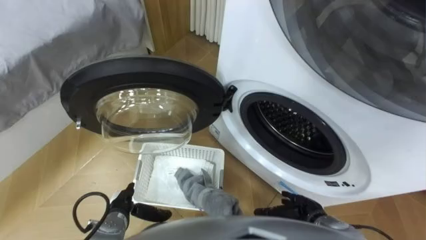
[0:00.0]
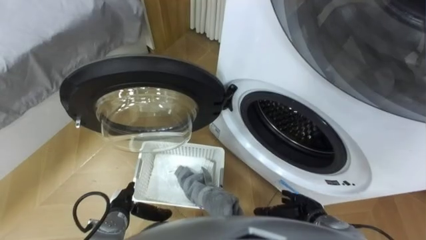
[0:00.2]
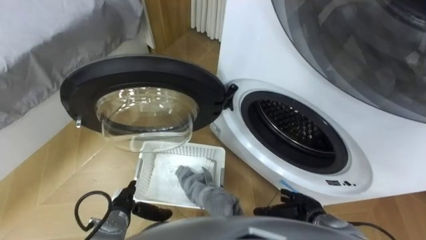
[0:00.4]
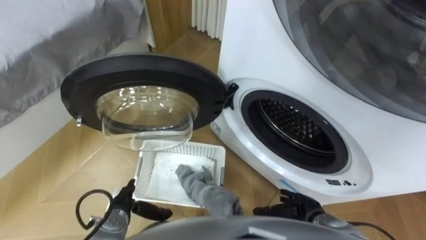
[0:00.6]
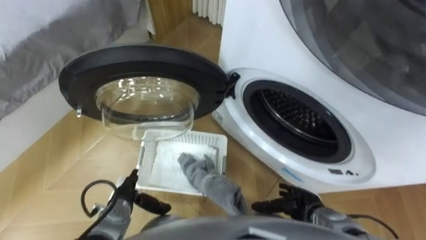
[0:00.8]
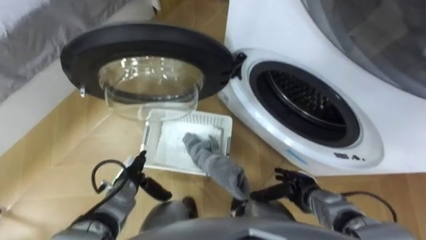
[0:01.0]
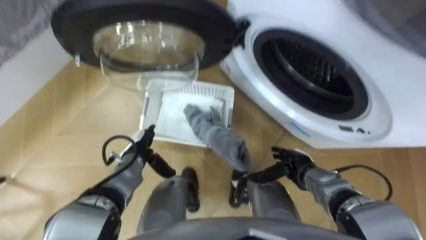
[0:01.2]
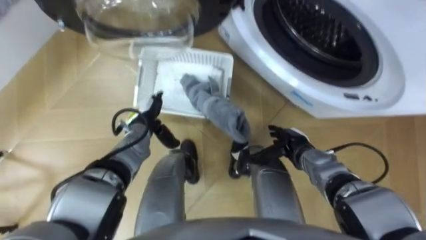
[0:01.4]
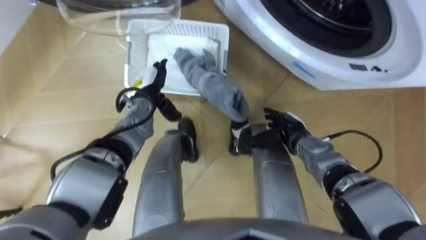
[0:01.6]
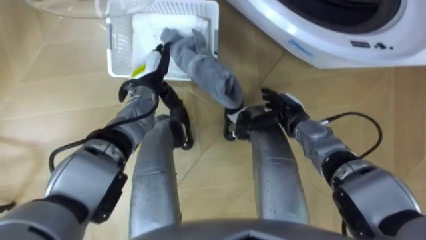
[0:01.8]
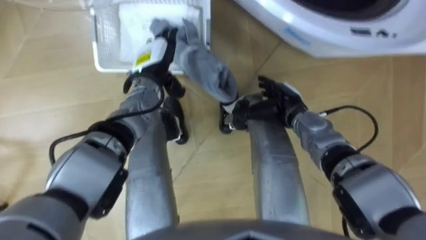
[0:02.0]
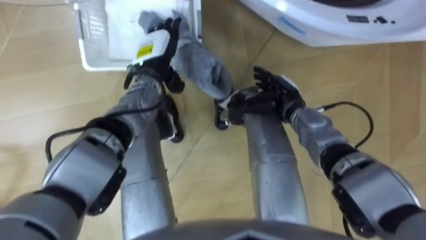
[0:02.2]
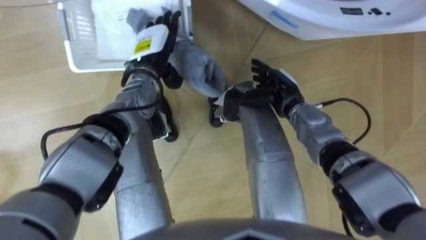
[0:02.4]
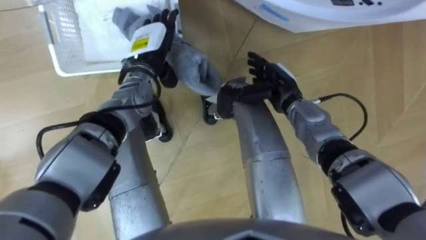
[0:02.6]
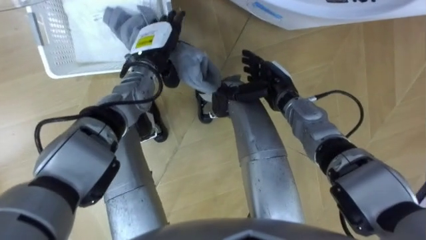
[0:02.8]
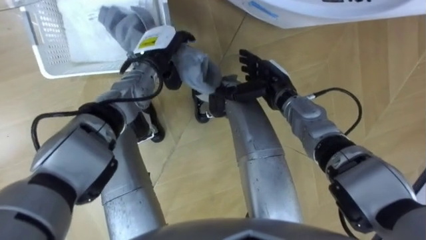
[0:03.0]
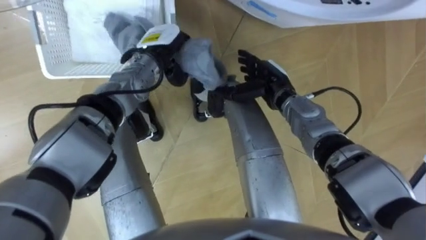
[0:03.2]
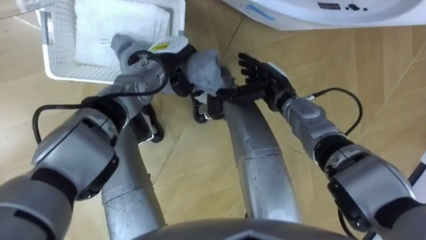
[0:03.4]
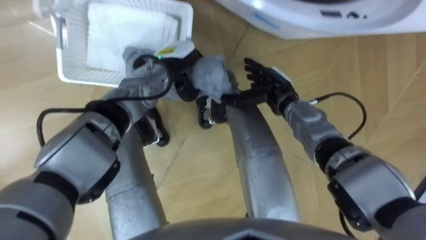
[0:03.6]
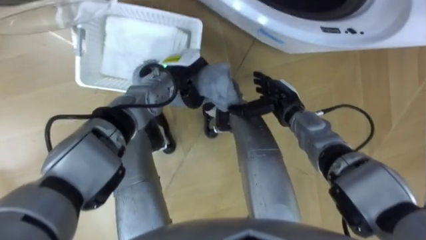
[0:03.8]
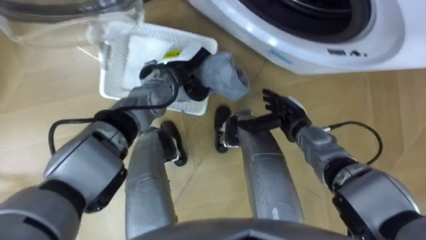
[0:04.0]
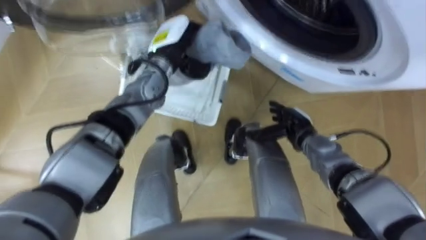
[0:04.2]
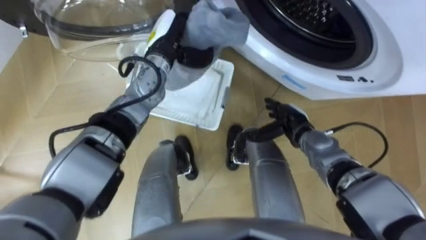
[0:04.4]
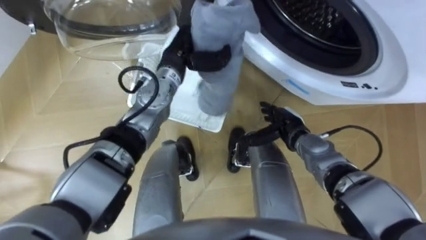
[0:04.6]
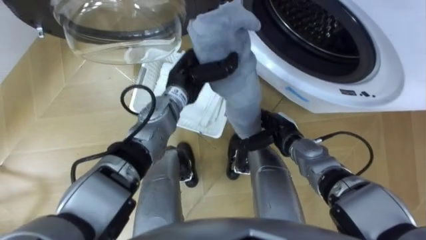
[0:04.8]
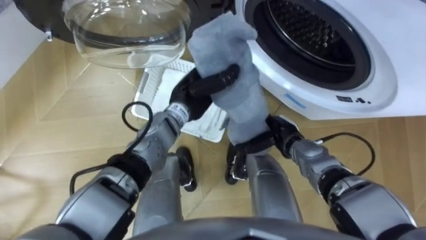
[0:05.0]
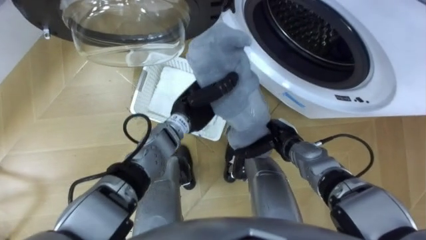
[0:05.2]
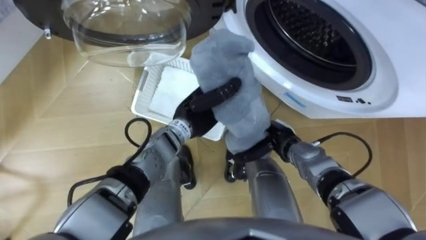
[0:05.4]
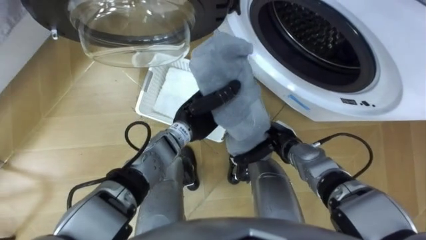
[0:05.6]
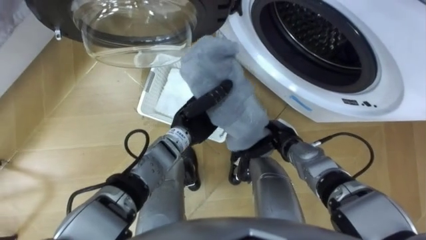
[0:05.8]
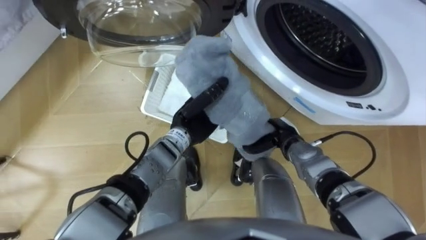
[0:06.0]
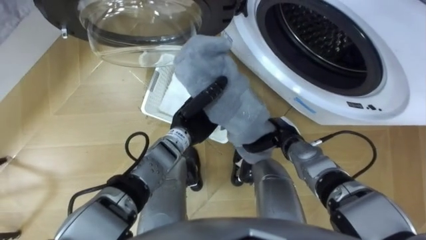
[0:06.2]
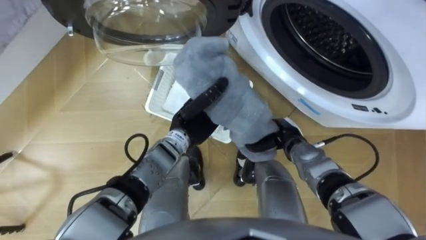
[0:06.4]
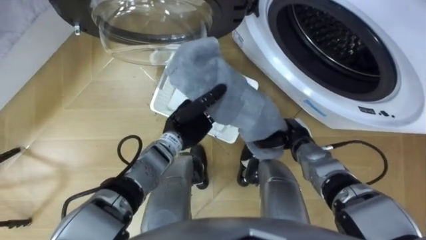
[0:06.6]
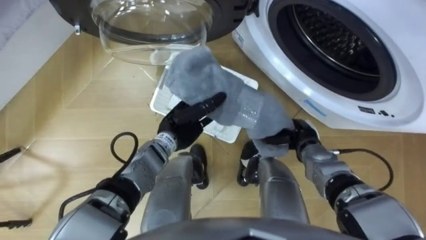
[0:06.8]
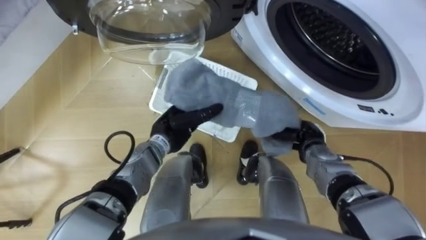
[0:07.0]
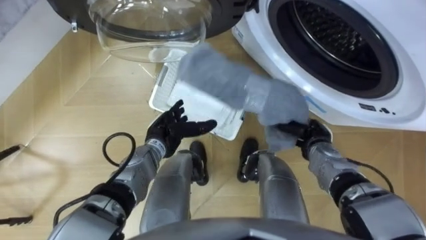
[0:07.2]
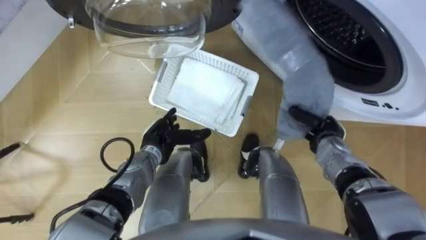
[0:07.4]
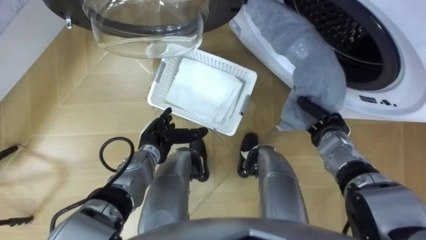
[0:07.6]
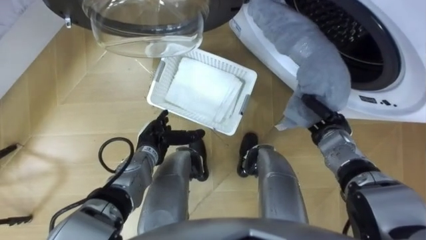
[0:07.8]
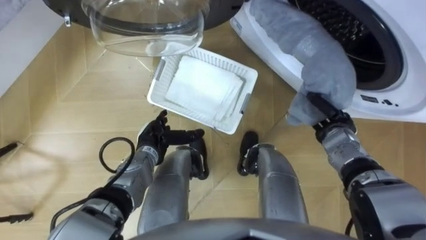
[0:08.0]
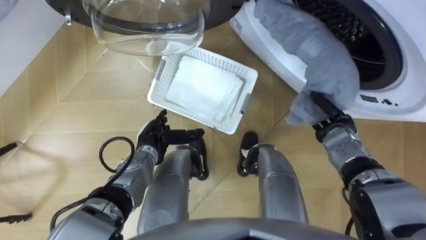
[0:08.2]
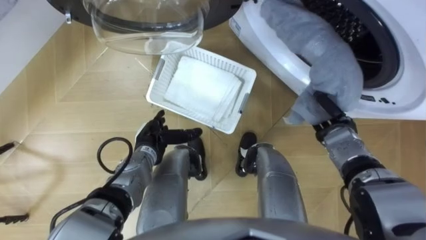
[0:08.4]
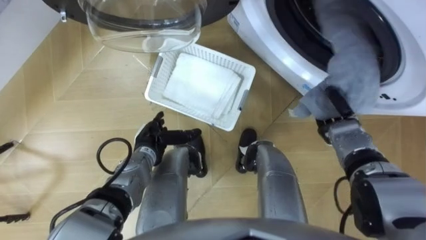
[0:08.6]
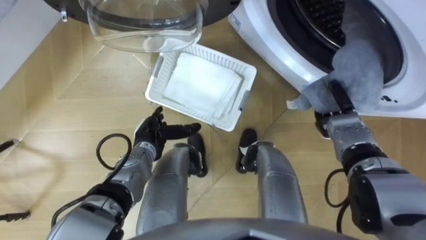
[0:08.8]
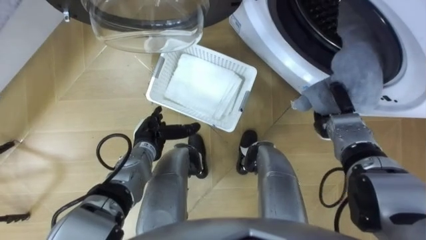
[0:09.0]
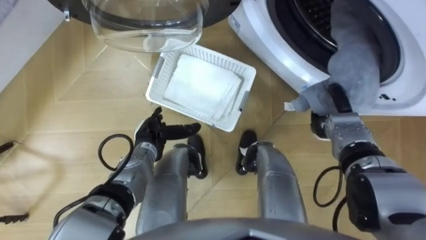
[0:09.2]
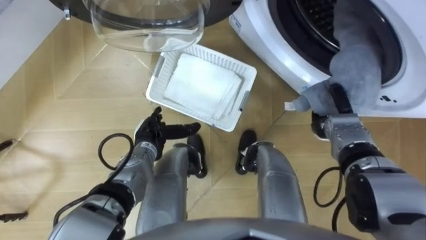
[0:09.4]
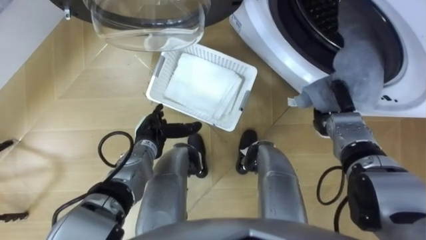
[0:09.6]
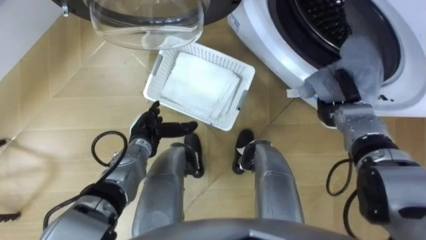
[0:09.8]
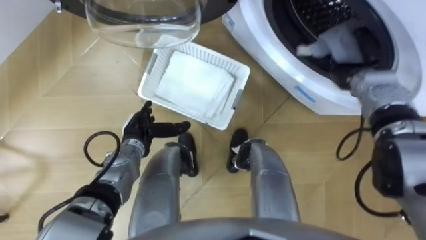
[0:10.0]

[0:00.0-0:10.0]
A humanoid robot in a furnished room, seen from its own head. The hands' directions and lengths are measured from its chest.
Task of the whole recording: Take the towel from the basket and put it into the washing machine.
0:01.4 to 0:02.8: The left hand shifts about 15 cm upward and forward. Meanwhile the right hand goes approximately 15 cm forward, upward and to the left.
0:02.8 to 0:04.2: The left hand closes up, while the right hand travels downward, backward and to the right by about 10 cm.
0:04.2 to 0:05.8: The left hand heads backward and downward, covering roughly 15 cm.
0:05.8 to 0:07.2: The right hand moves to the right, some 5 cm, and closes its fingers, while the left hand is displaced to the left and downward by roughly 10 cm, and opens.
0:07.2 to 0:08.6: The right hand goes approximately 5 cm to the right.
0:08.6 to 0:10.0: The right hand moves forward and upward, roughly 10 cm.

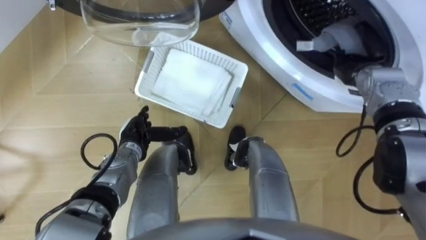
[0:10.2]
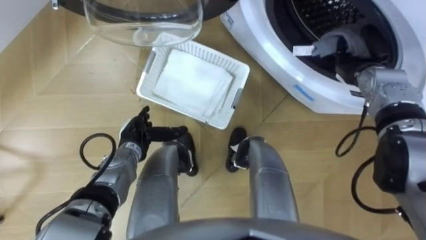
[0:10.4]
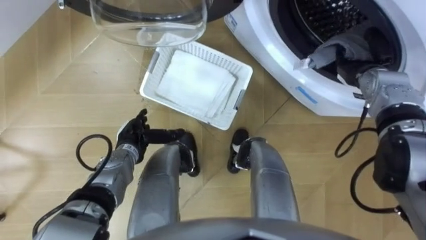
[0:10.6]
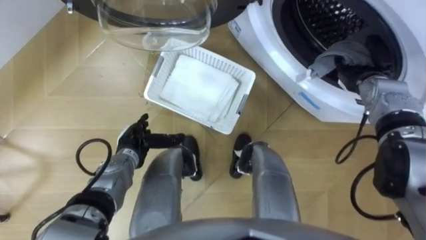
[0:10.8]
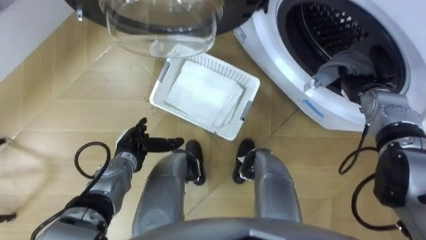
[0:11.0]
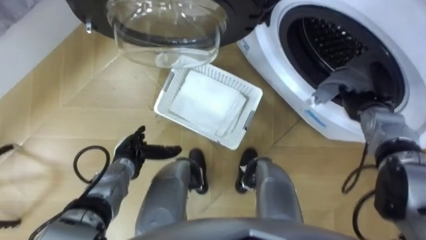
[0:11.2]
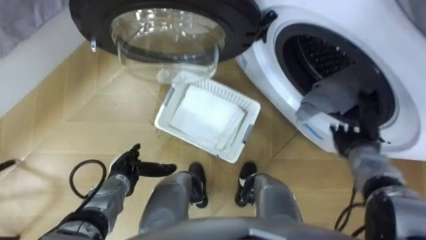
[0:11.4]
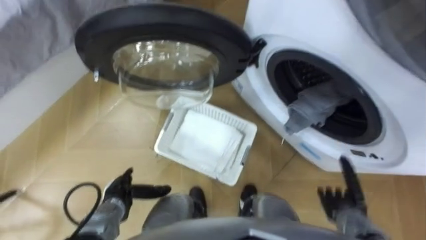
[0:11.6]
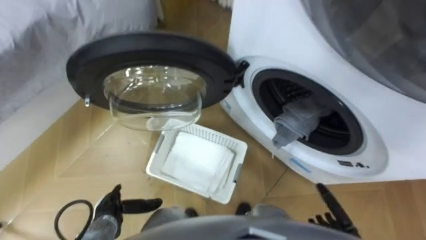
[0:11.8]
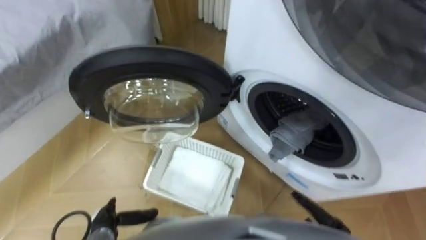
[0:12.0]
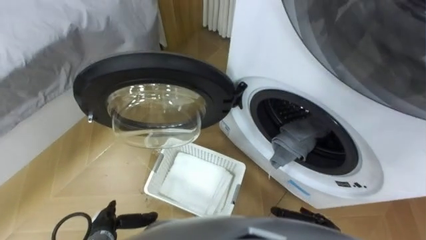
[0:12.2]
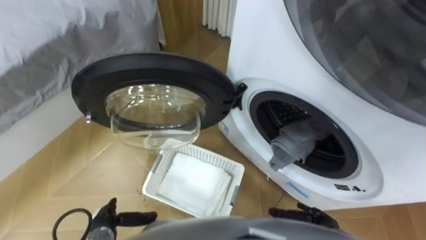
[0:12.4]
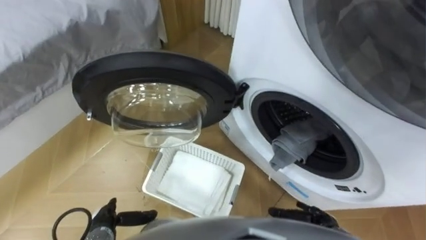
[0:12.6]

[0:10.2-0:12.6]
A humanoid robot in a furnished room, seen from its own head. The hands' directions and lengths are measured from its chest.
Task of the whole recording: Take the towel from the basket and put it into the washing machine.
0:10.2 to 0:11.4: The left hand moves backward, approximately 5 cm, while the right hand heads backward and downward, covering about 15 cm, and opens.
0:11.4 to 0:12.6: The left hand is displaced backward by approximately 10 cm. The right hand moves backward, to the left and downward, some 20 cm.

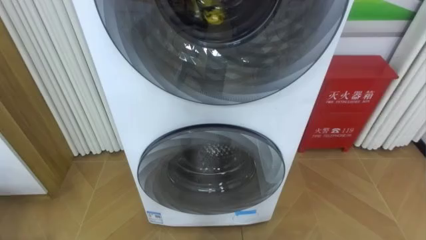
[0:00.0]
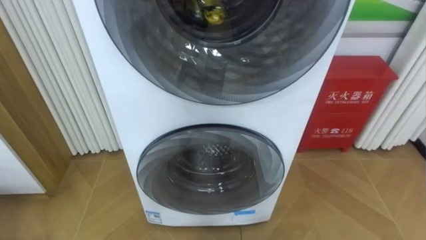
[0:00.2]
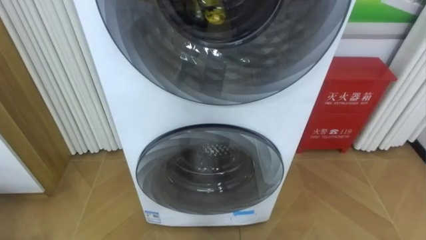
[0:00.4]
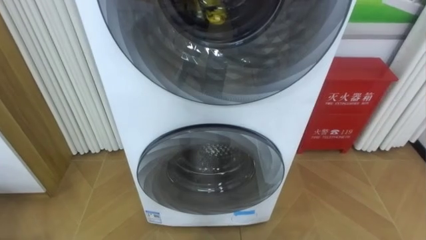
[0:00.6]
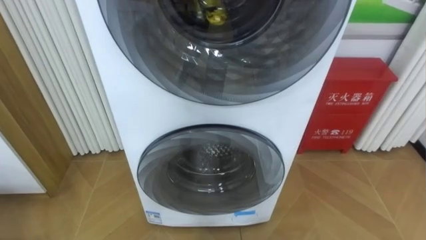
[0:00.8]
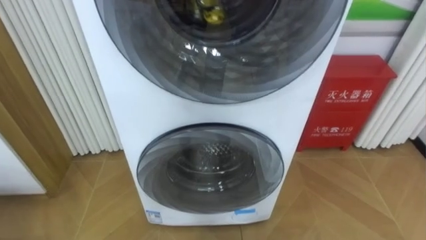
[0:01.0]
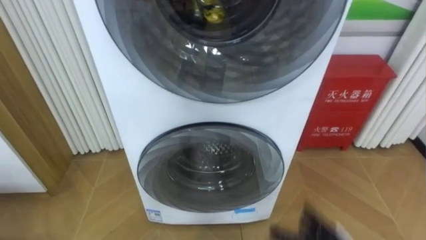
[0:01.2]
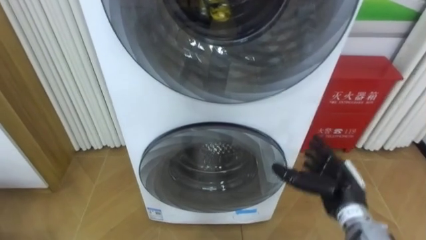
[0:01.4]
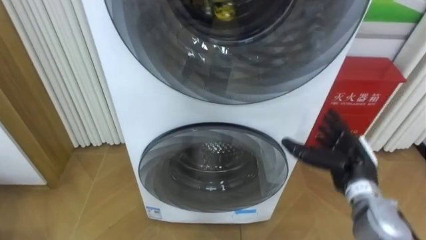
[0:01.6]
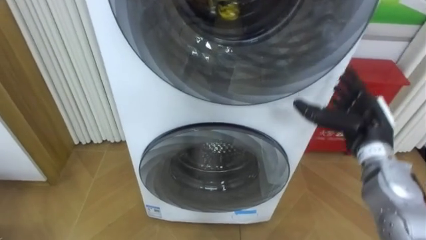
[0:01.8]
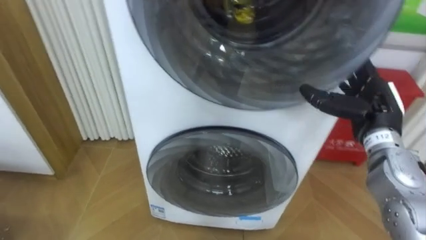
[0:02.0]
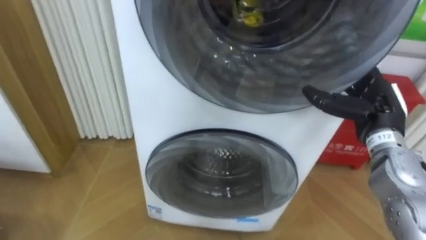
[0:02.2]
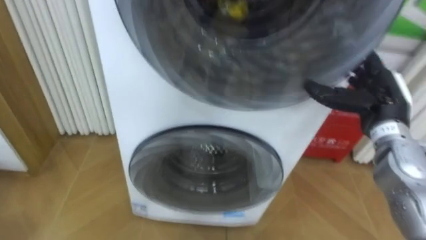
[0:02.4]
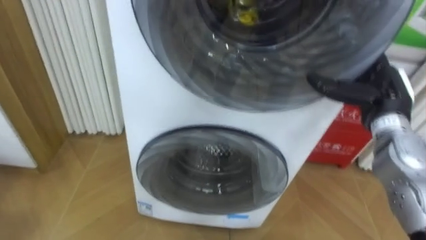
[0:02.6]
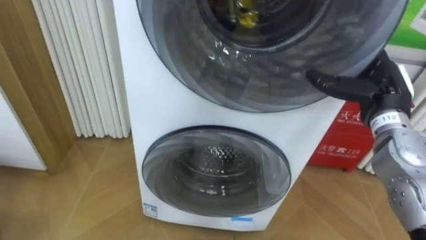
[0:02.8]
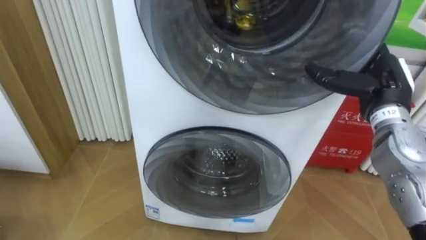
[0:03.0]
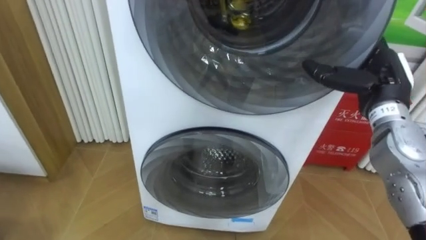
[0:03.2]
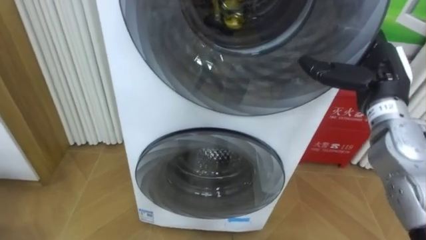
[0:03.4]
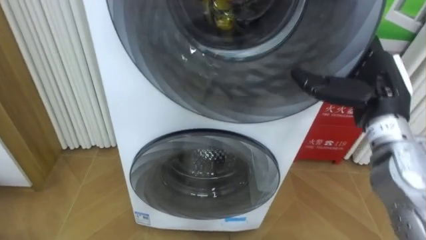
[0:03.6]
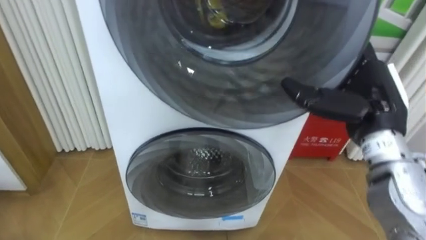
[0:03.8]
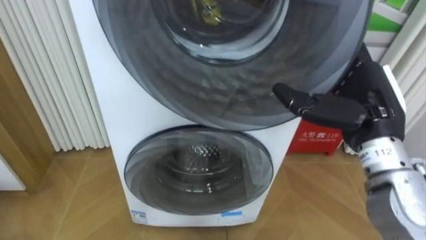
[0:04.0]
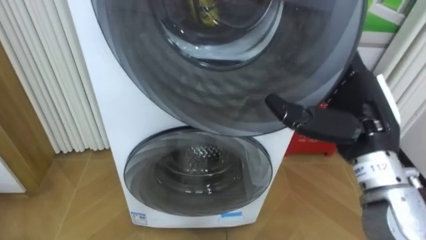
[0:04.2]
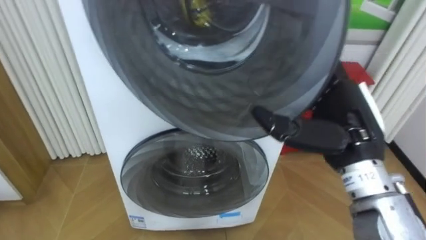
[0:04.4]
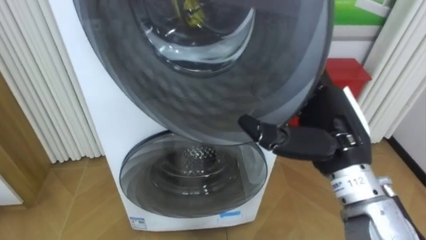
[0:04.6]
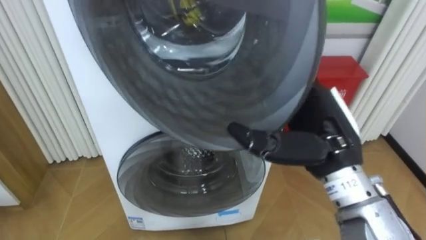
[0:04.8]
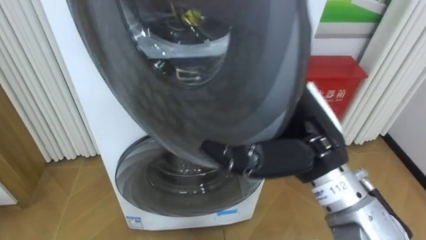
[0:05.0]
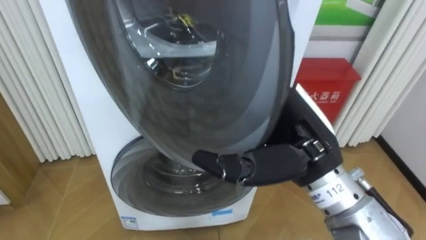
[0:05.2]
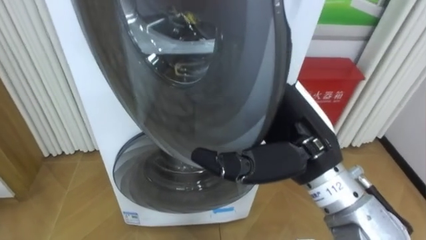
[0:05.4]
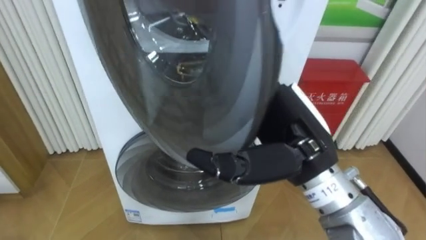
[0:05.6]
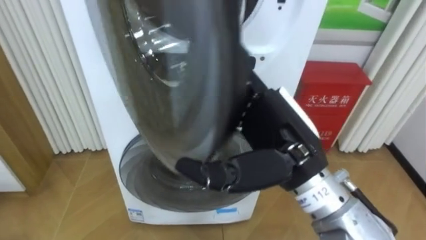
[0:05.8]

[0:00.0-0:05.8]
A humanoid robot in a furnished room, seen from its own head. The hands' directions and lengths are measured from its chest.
Task of the whole recording: Open the washing machine door, take out the yellow clothes, place them in the box on the right, and close the washing machine door.
0:01.4 to 0:02.8: The right hand heads upward and forward, covering about 20 cm.
0:02.8 to 0:04.4: The right hand moves to the left and backward, roughly 15 cm.
0:04.4 to 0:05.8: The right hand is displaced to the left by some 10 cm.
